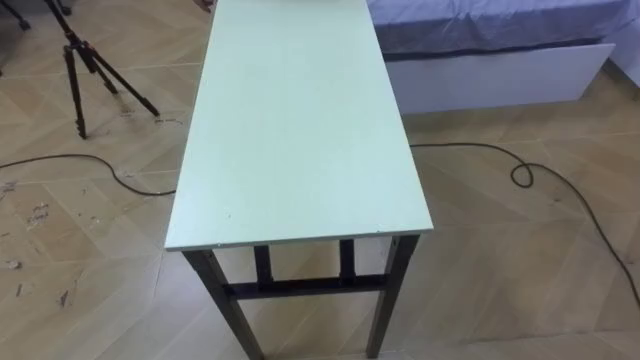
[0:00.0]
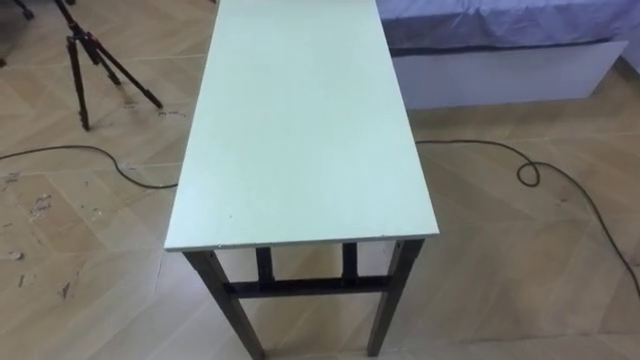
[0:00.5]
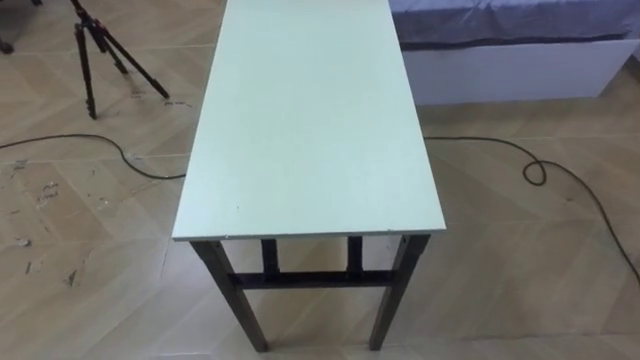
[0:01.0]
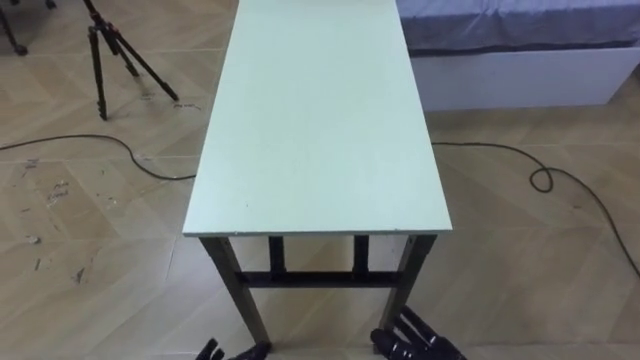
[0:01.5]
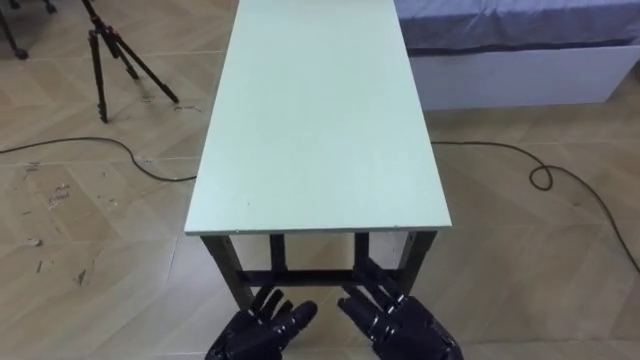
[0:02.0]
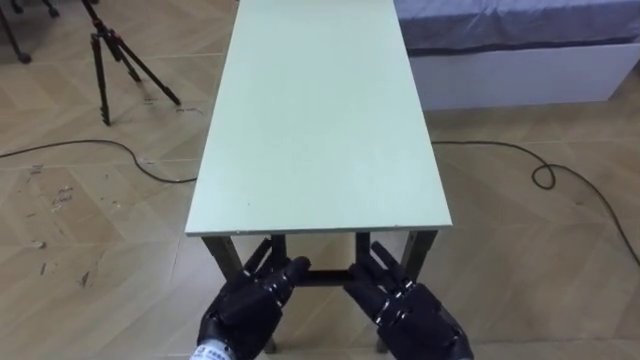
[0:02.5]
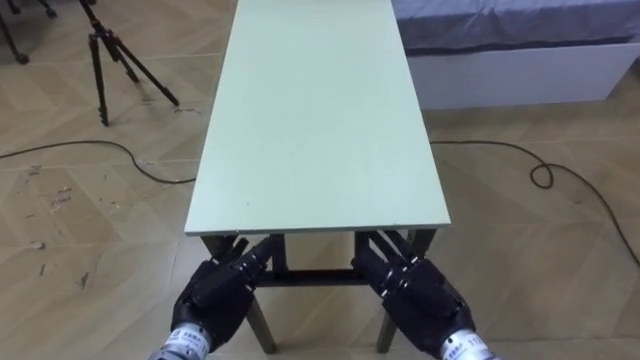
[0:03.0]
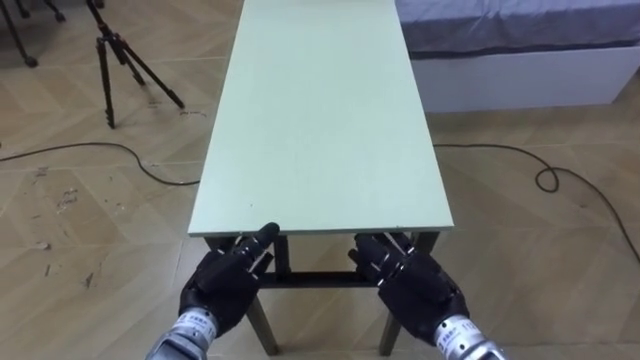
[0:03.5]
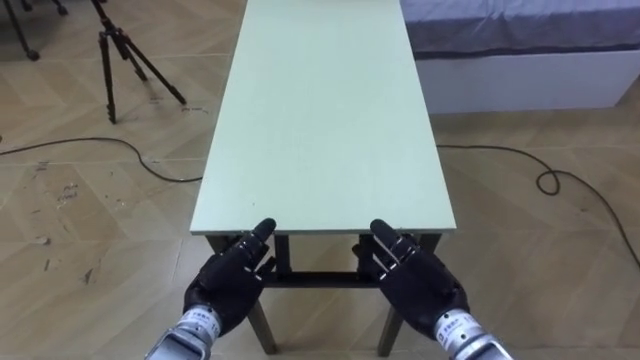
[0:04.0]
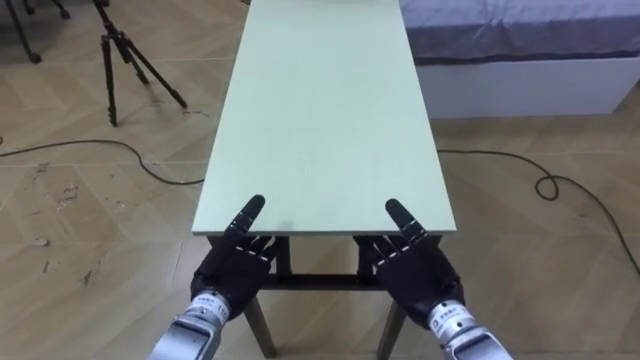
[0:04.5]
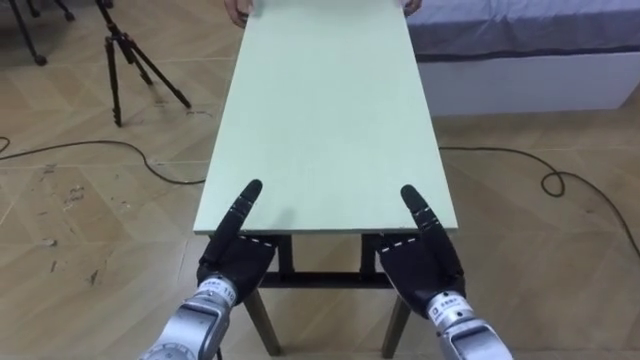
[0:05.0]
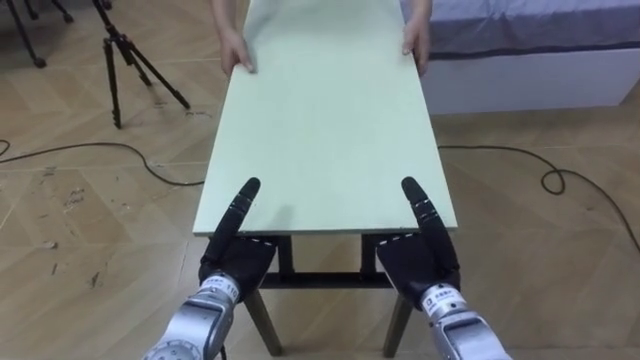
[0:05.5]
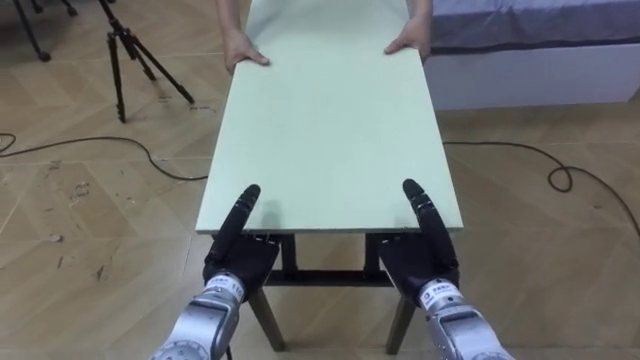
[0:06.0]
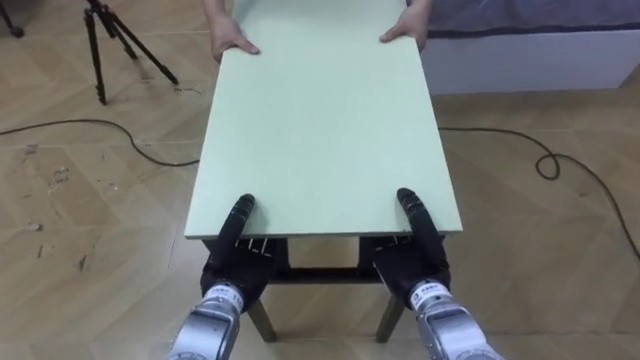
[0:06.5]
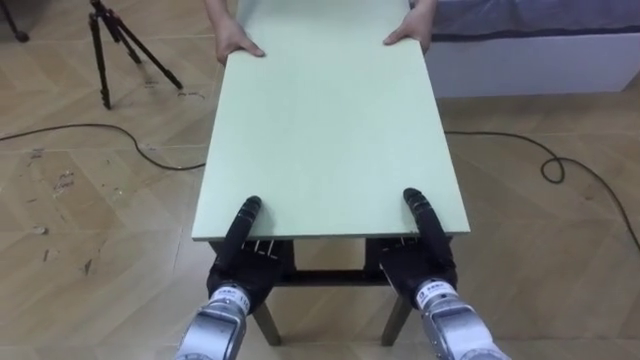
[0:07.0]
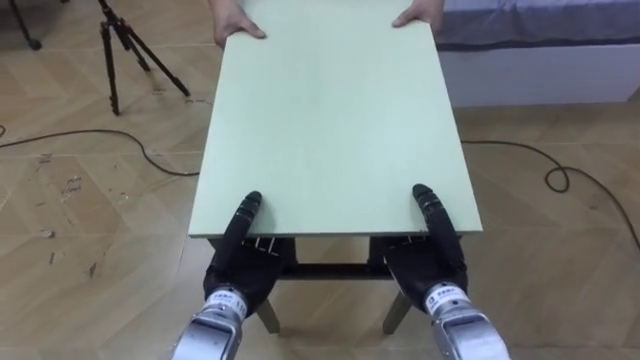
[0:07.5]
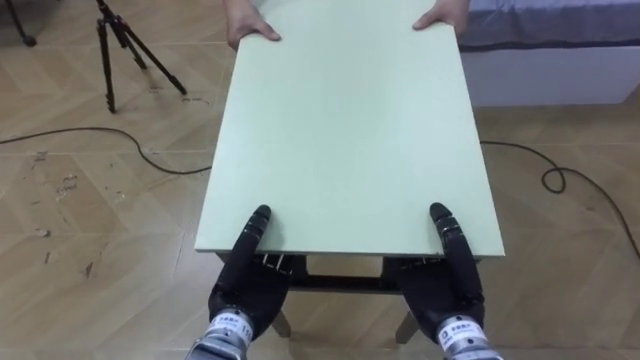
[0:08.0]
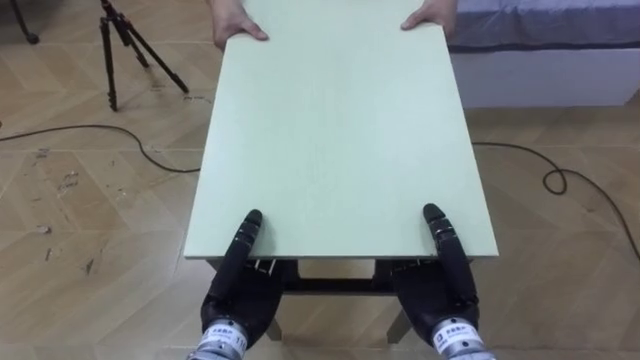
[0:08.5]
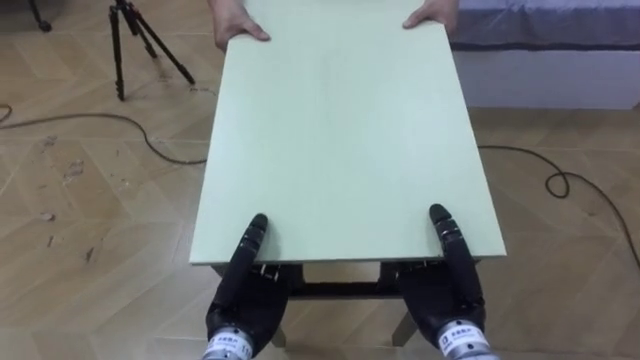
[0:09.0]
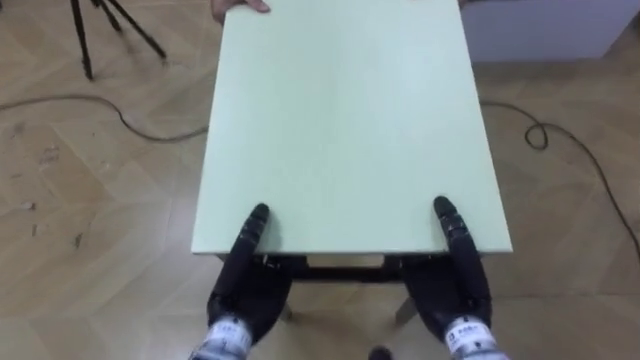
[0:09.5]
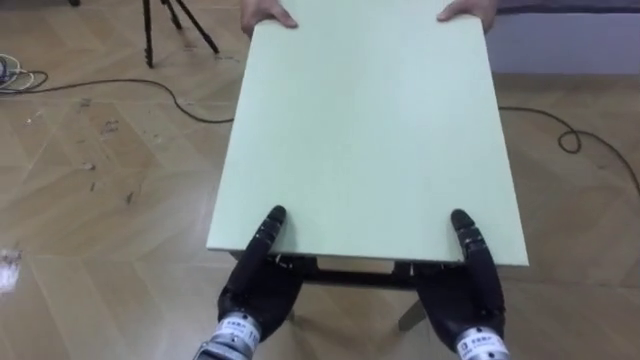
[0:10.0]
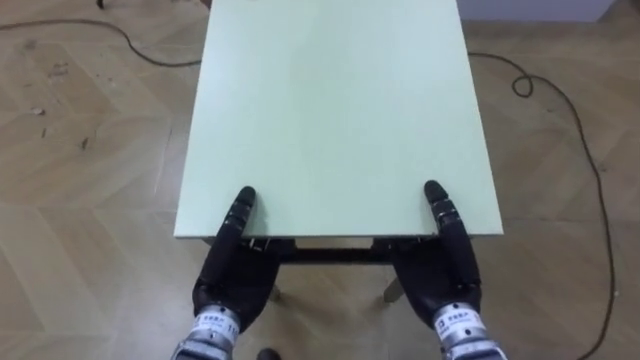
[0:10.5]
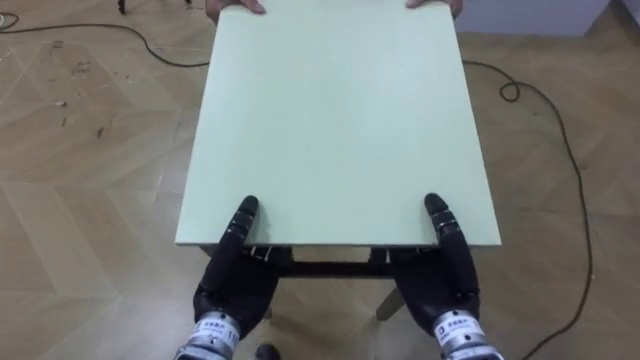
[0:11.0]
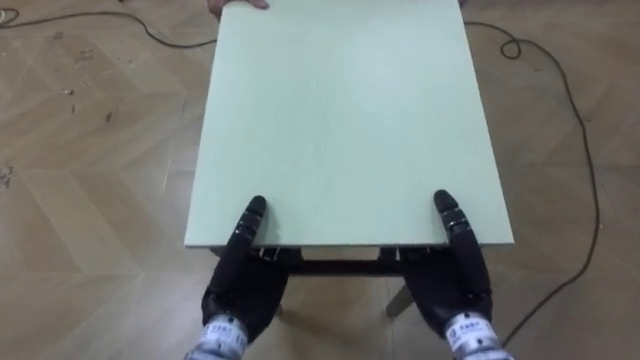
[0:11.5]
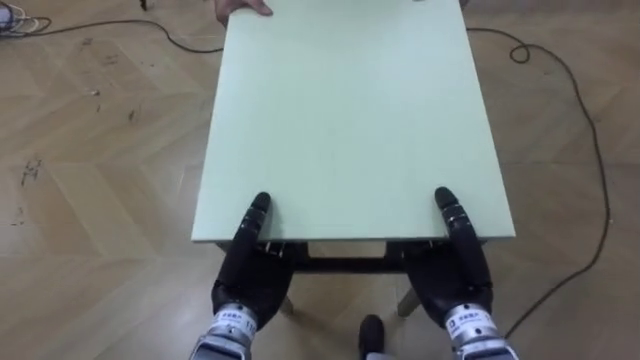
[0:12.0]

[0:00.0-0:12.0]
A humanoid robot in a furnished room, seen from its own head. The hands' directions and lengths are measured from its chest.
Task of the whole recording: Move the table to the back left with someone.
0:02.0 to 0:04.0: Both hands move forward, about 5 cm.
0:04.0 to 0:06.0: The left hand closes its fingers.
0:06.0 to 0:08.0: The left hand ends up some 5 cm from where it was. The right hand shifts by approximately 5 cm, and closes up.

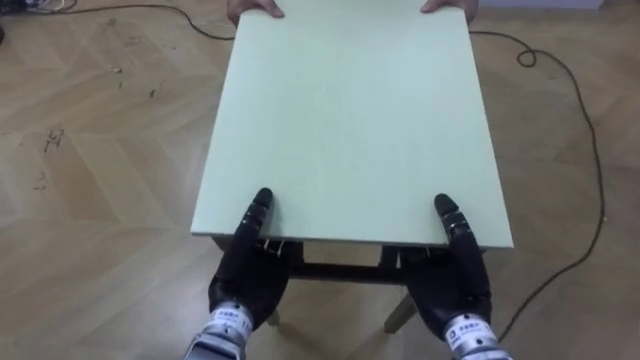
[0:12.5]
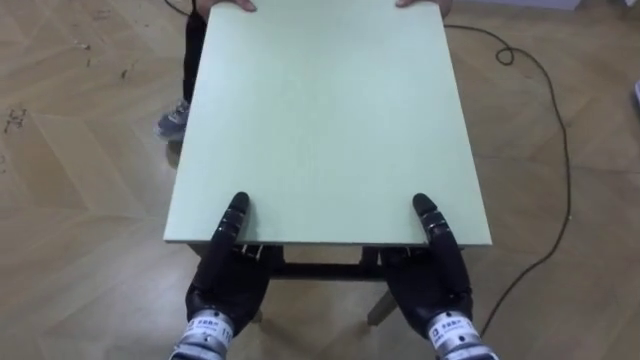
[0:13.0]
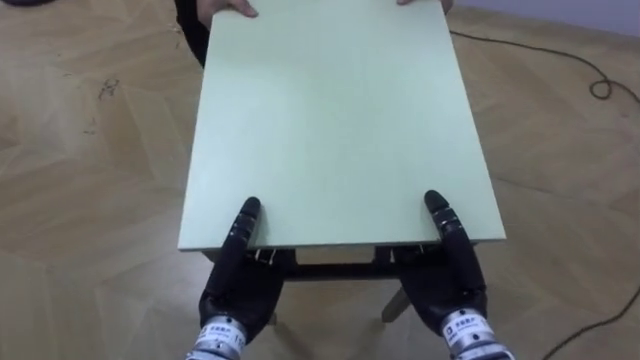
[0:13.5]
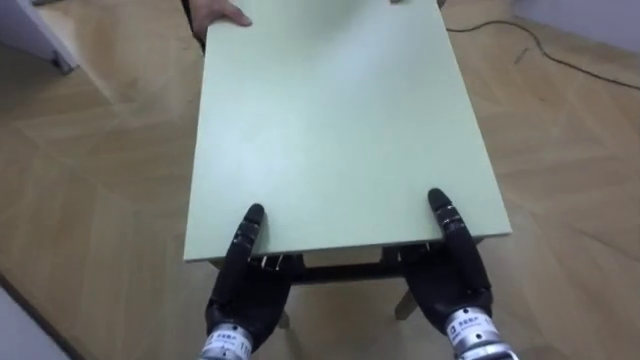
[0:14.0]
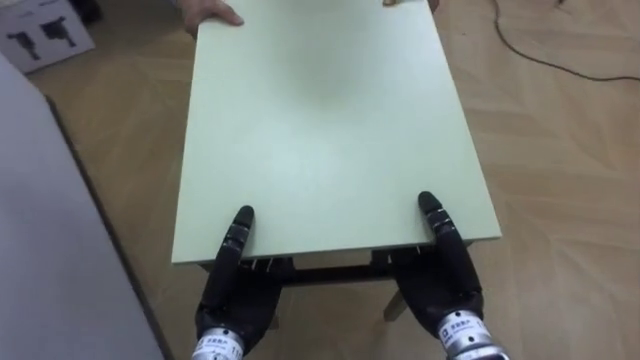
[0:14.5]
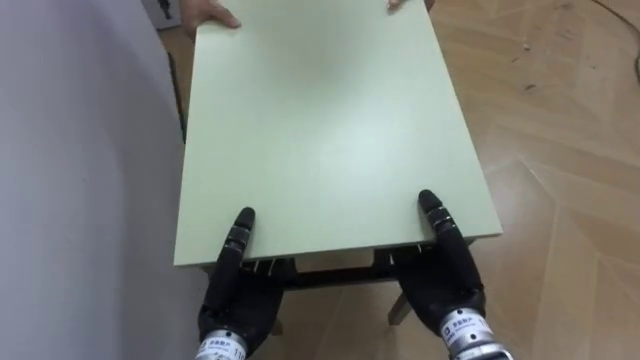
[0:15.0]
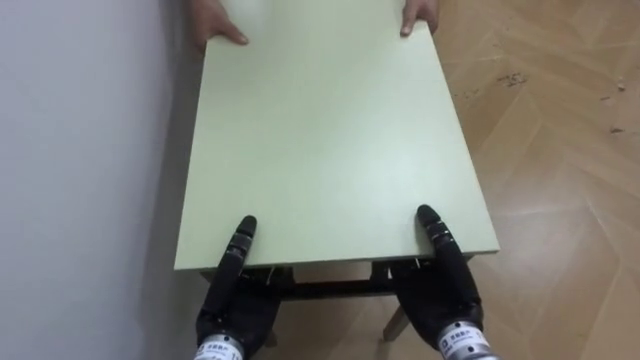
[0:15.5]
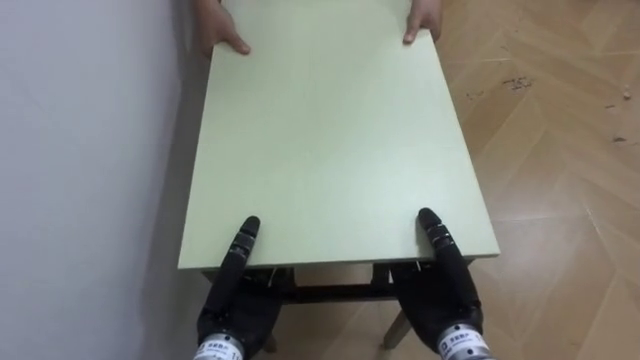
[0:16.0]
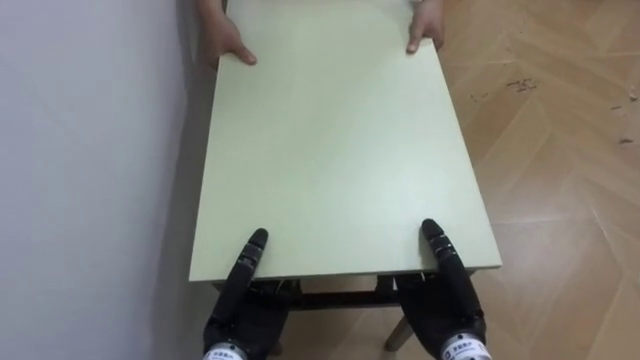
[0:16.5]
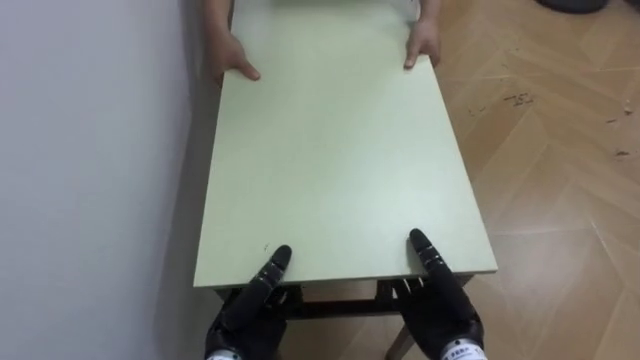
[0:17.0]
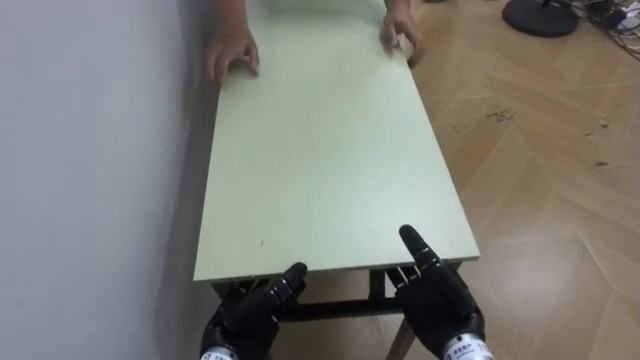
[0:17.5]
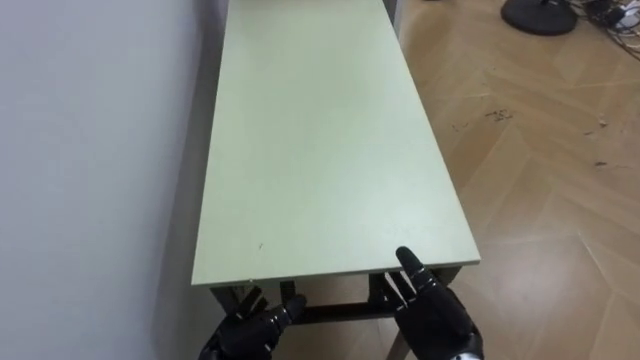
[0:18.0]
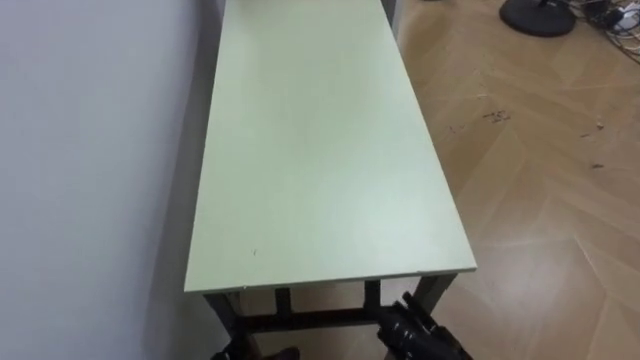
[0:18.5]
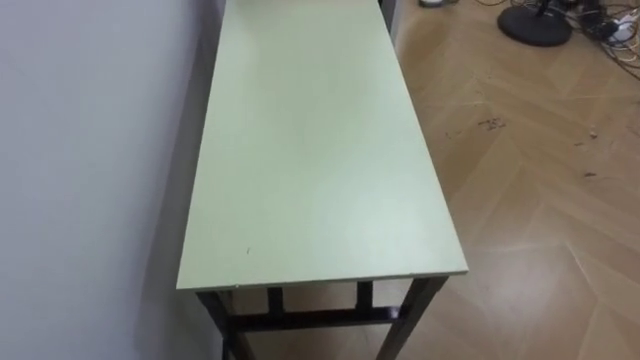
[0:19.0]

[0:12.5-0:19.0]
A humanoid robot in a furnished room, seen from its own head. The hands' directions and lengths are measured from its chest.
Task of the whole recording: Move the table to the back left with someone.
0:12.5 to 0:14.5: The robot faces some 50 degrees further to its left.
0:14.5 to 0:17.0: The robot faces approximately 35 degrees further to its left. The left hand ends up about 5 cm from where it was, while the right hand is displaced downward by roughly 5 cm.

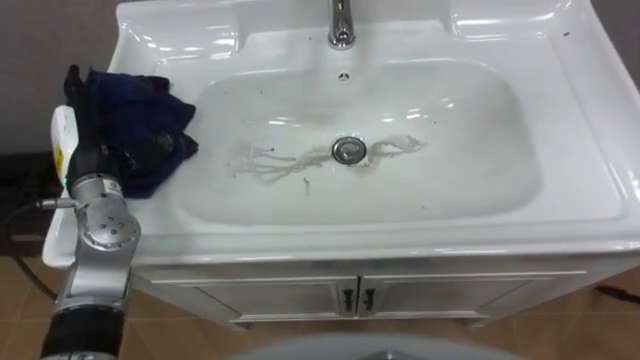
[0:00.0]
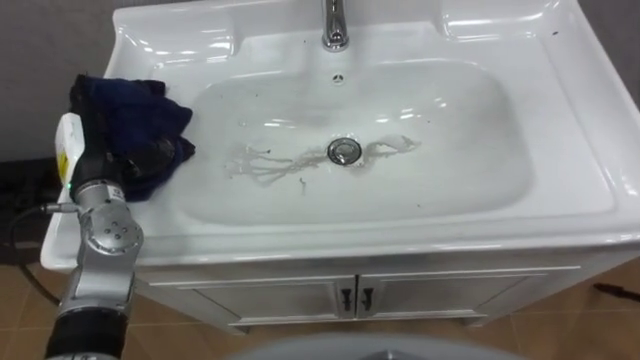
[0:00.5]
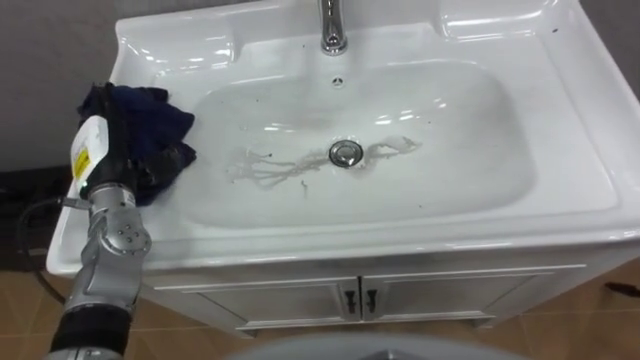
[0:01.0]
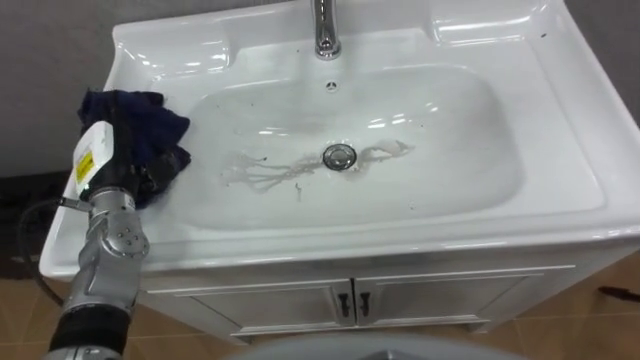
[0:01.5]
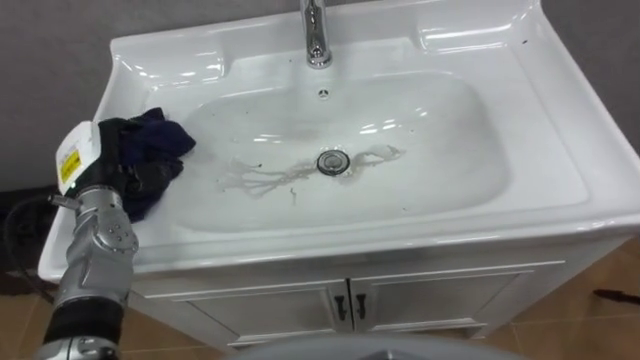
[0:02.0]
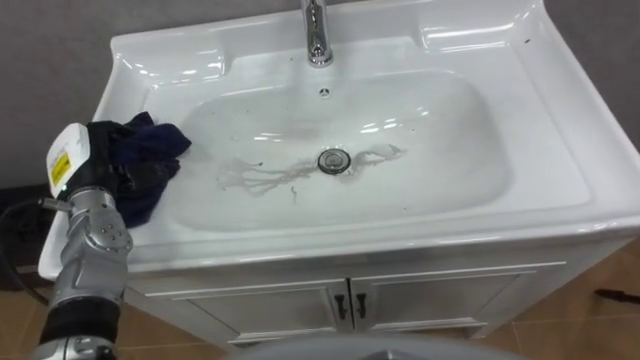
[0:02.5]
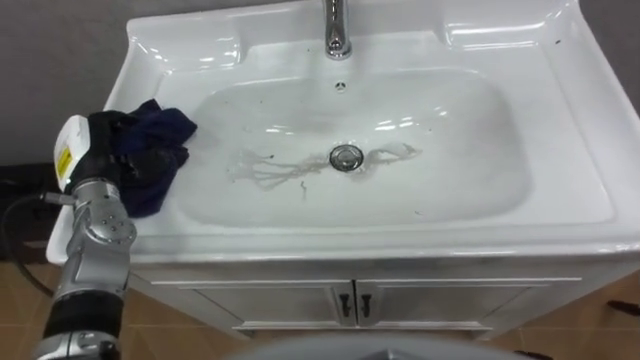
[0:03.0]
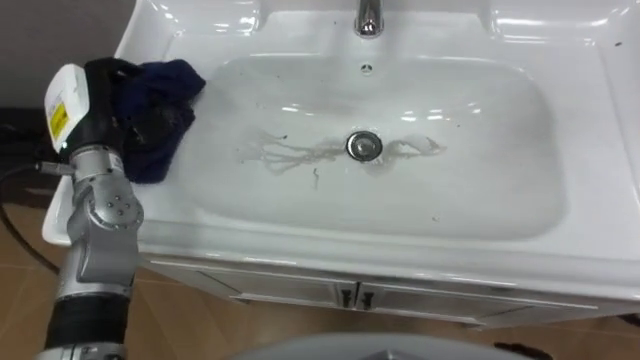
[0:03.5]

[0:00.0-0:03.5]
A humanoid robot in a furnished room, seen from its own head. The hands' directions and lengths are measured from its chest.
Task of the whole recording: Use the cloth on the right to wipe away the black stain in the sink.
0:00.0 to 0:02.0: The left hand closes its fingers.
0:02.0 to 0:03.5: The left hand heads upward, covering some 10 cm.
